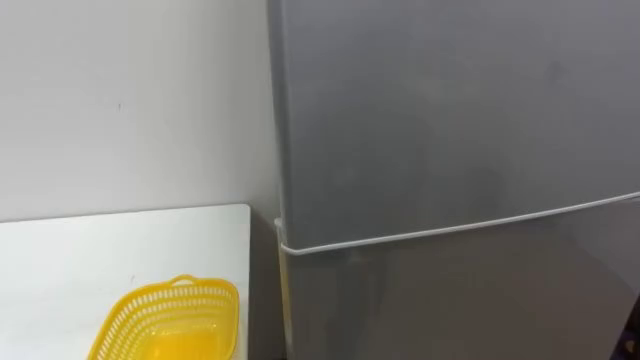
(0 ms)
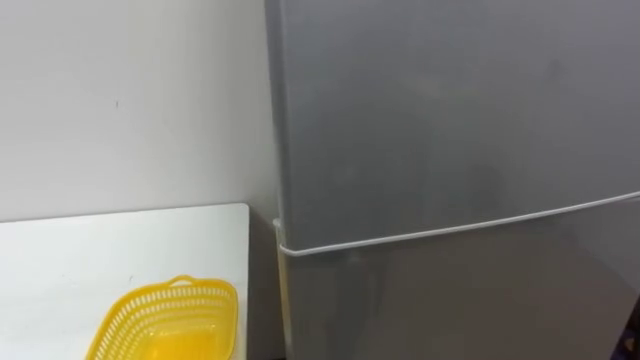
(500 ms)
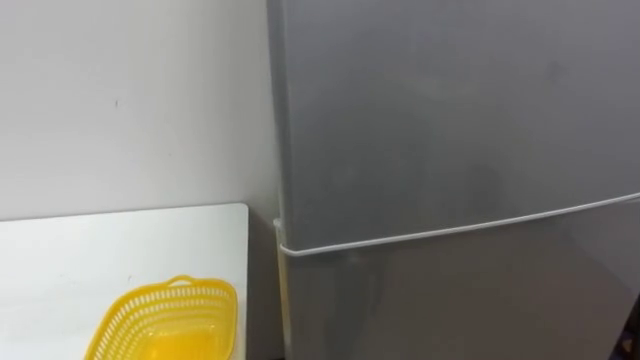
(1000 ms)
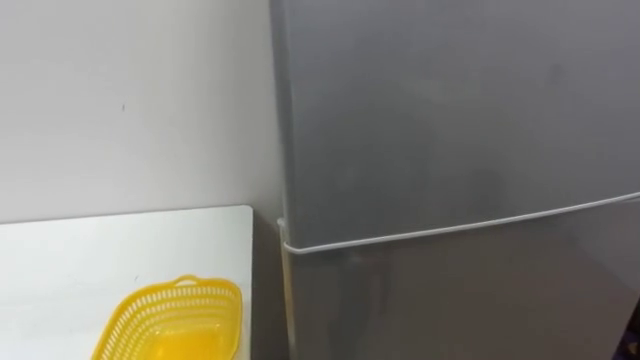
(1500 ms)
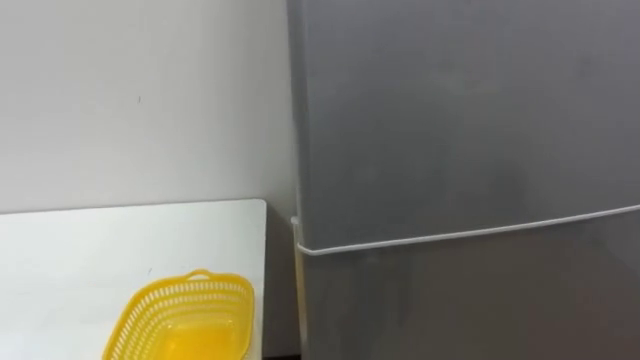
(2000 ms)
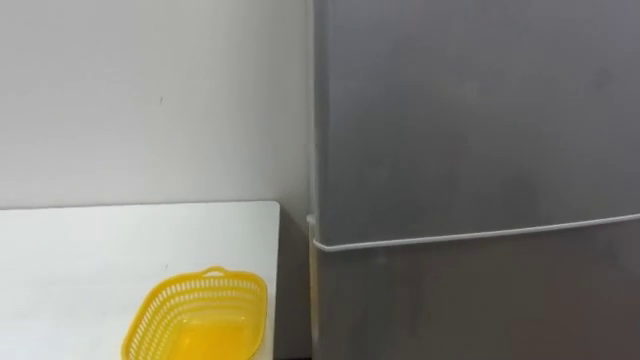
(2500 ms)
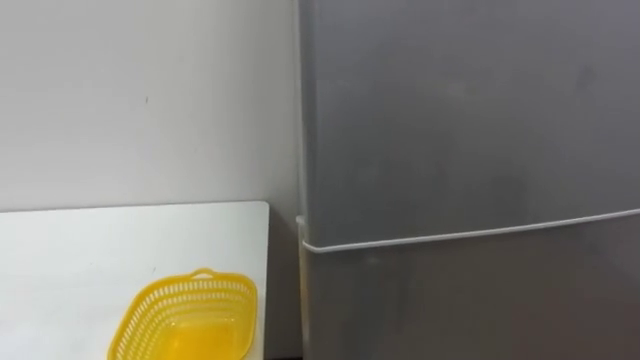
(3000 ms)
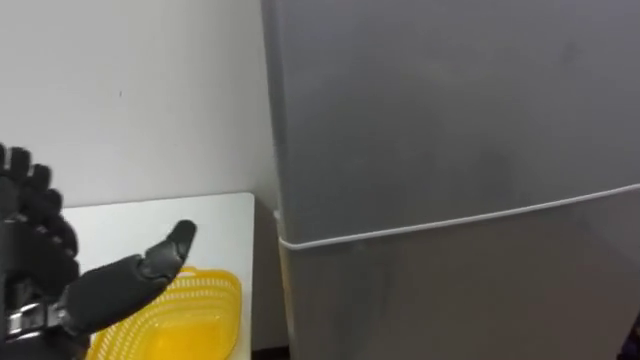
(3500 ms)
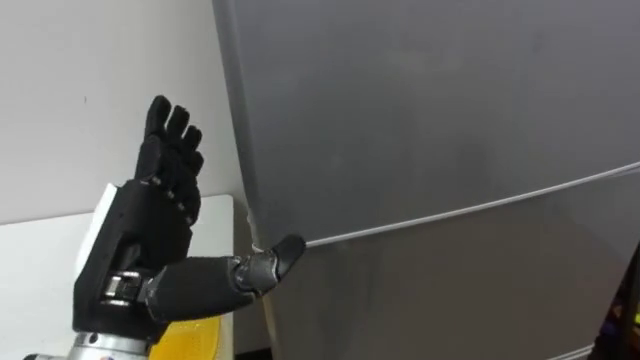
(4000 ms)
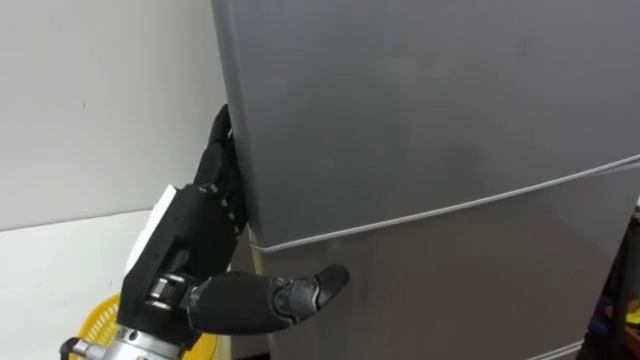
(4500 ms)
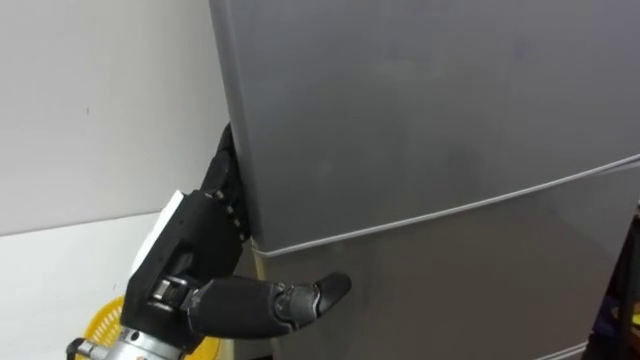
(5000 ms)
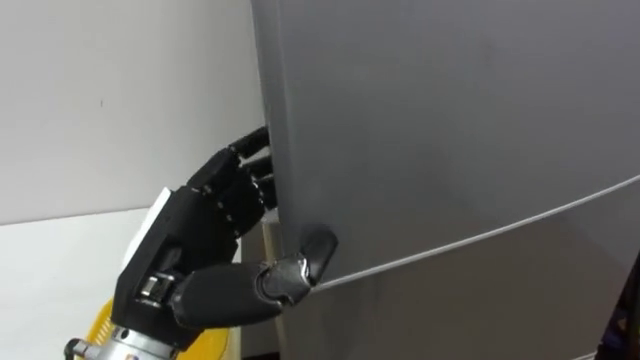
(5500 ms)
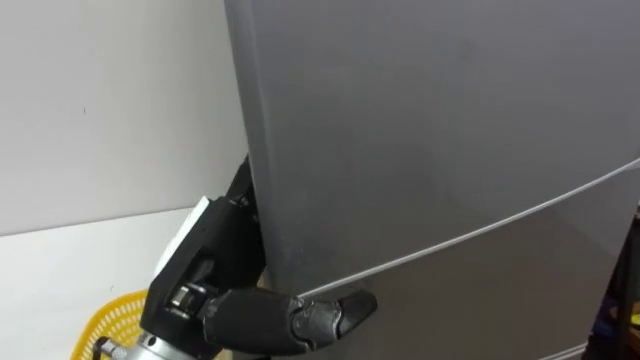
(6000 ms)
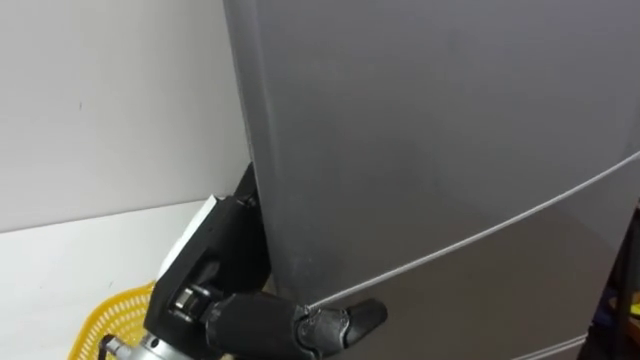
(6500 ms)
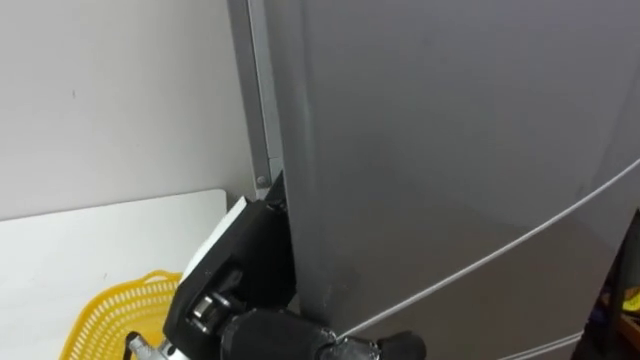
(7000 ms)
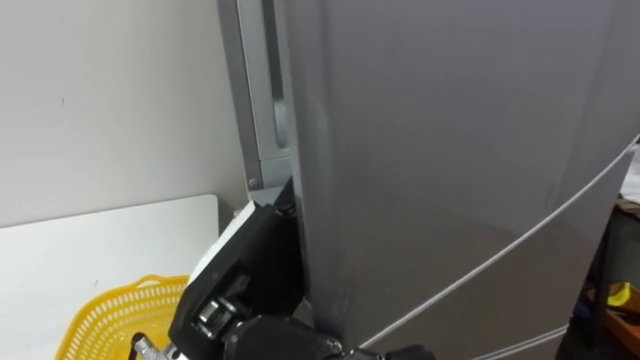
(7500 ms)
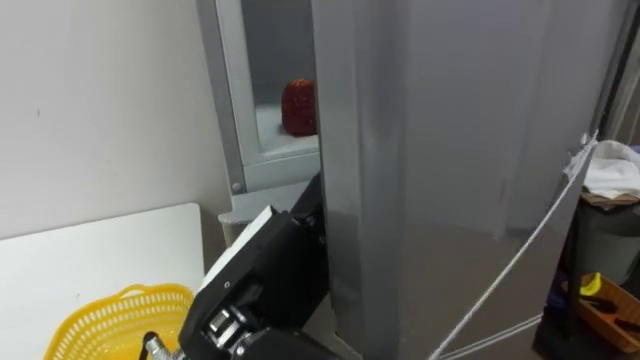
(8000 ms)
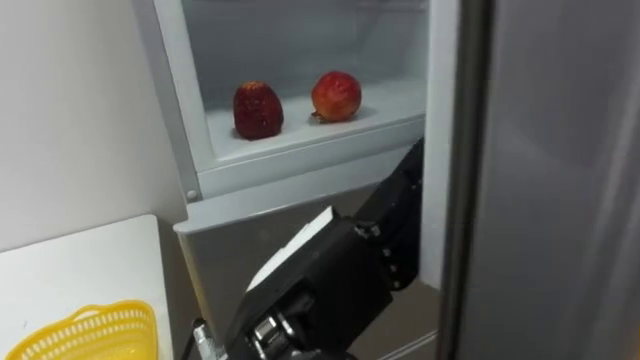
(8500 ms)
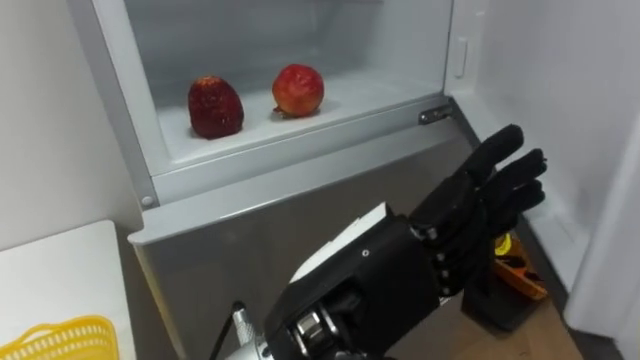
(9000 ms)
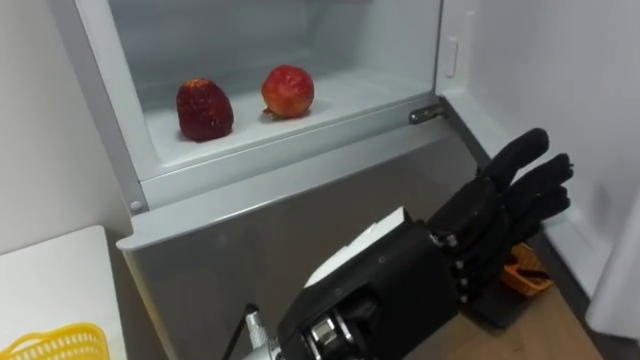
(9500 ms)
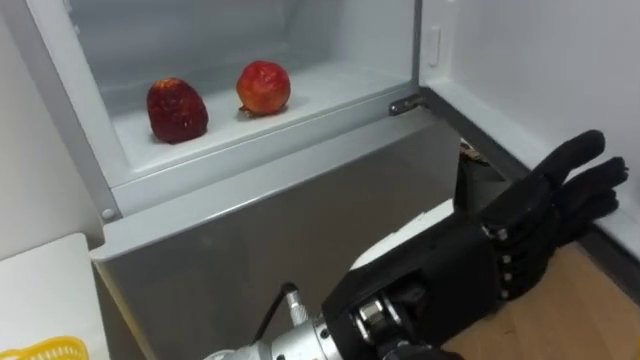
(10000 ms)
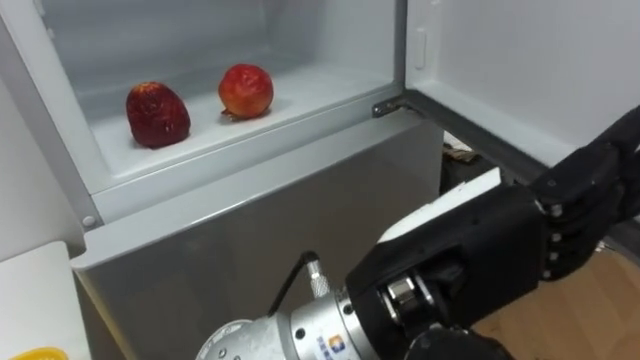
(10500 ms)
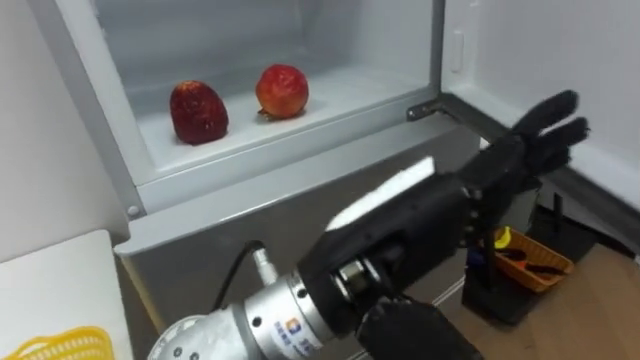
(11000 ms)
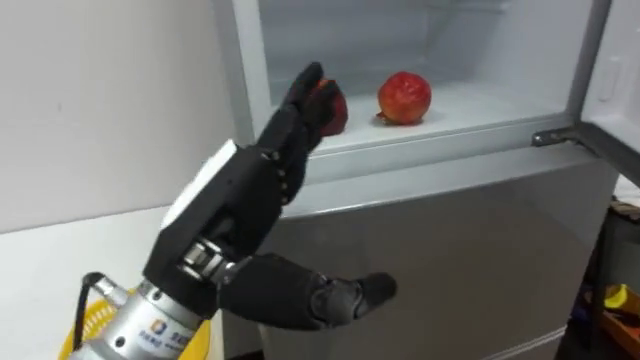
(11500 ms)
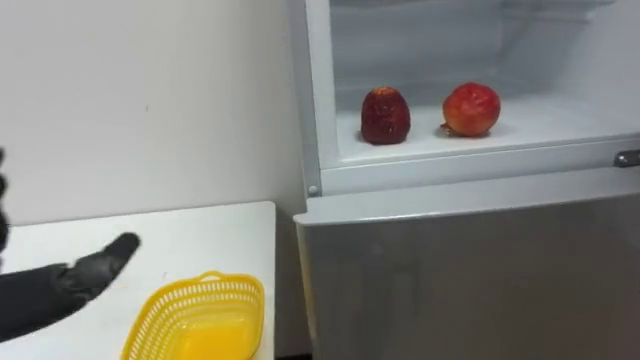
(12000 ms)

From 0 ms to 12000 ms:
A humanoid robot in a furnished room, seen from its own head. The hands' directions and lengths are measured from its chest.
Task of the whole recording: Open the refrigerator door, take out the apple and the pomegranate, place them in the fruit basket on the left, and close the refrigerator door.
From 4000 ms to 6000 ms: The left hand shifts approximately 5 cm to the right, and closes, then opens again.
From 6000 ms to 8000 ms: The left hand ends up roughly 5 cm from where it was.
From 8000 ms to 10000 ms: The left hand travels to the right by some 10 cm.

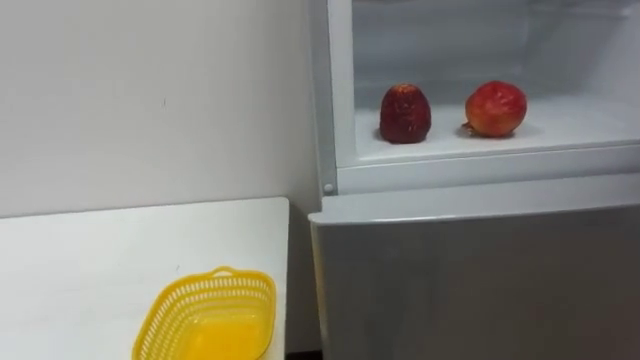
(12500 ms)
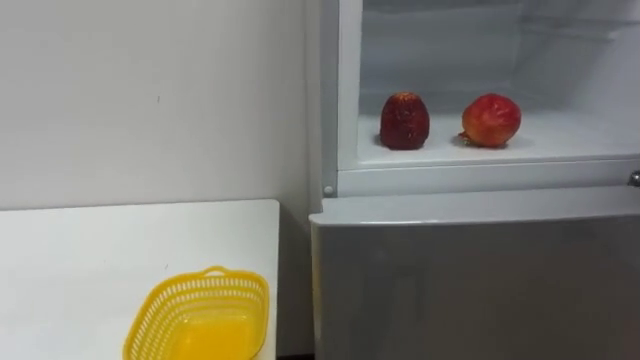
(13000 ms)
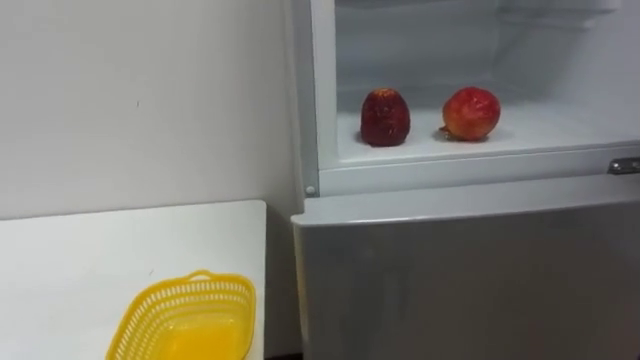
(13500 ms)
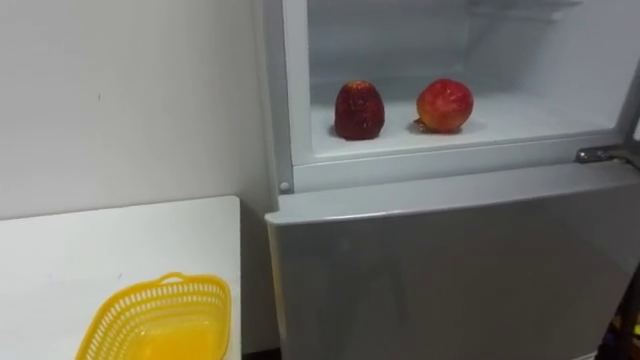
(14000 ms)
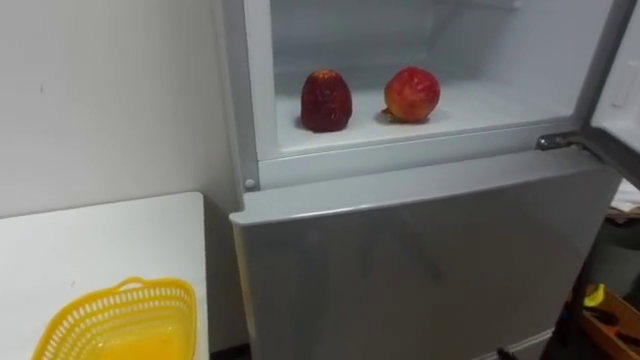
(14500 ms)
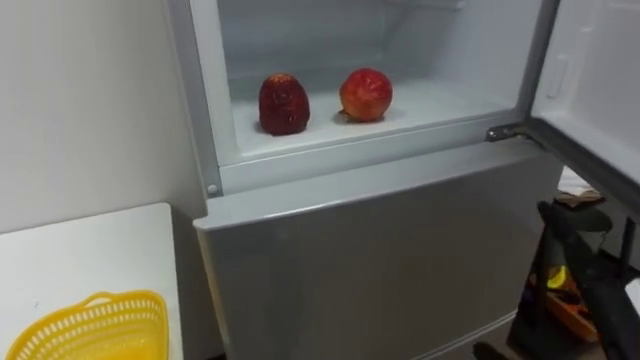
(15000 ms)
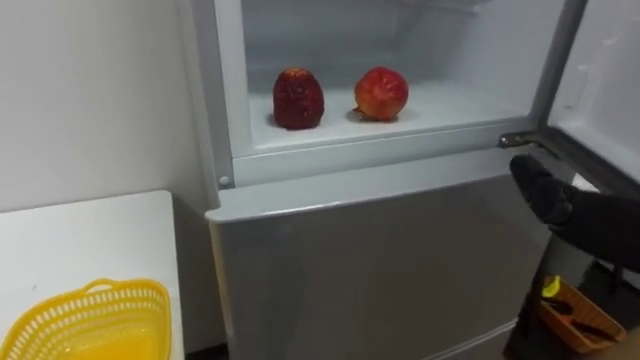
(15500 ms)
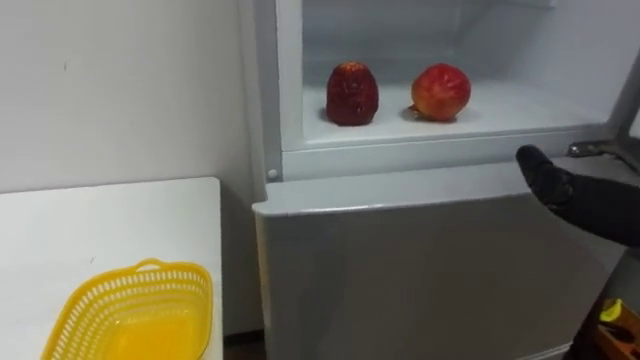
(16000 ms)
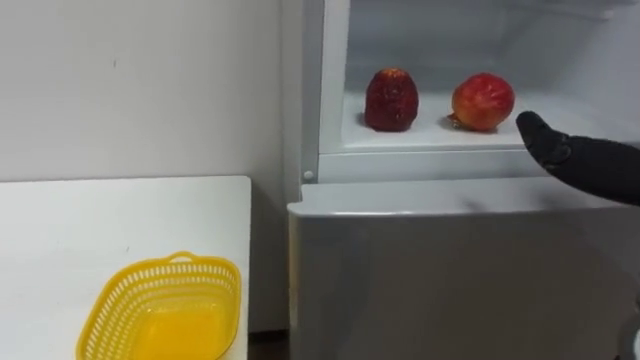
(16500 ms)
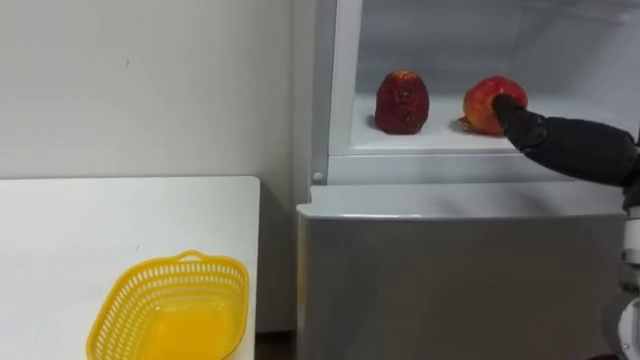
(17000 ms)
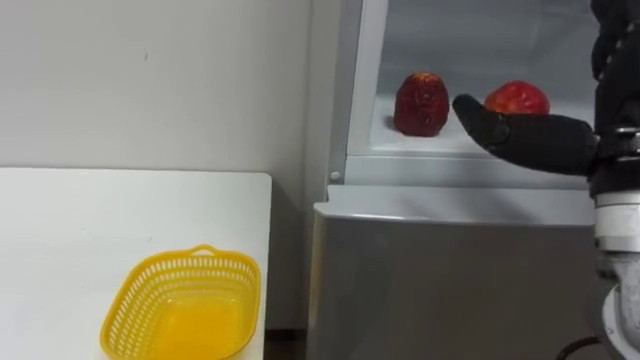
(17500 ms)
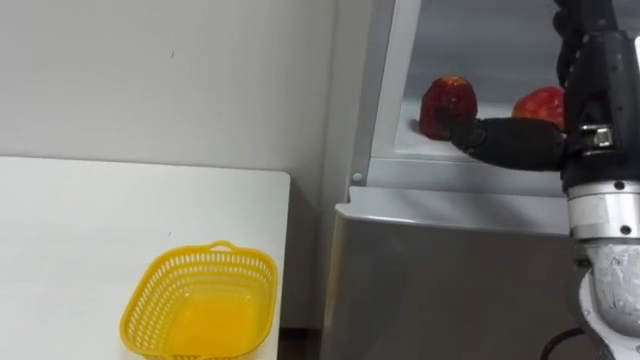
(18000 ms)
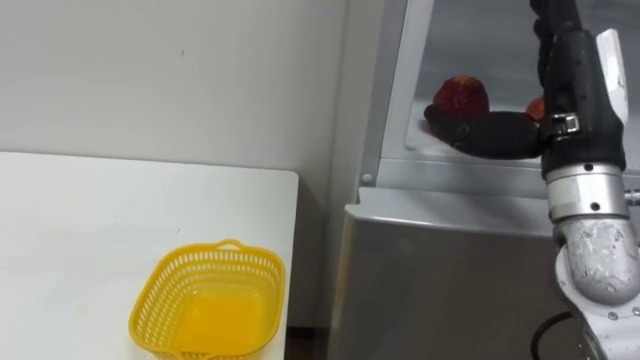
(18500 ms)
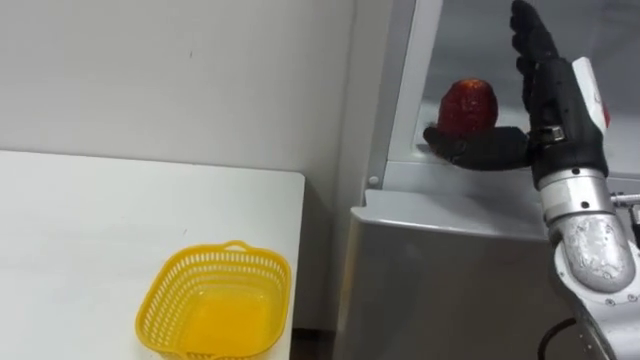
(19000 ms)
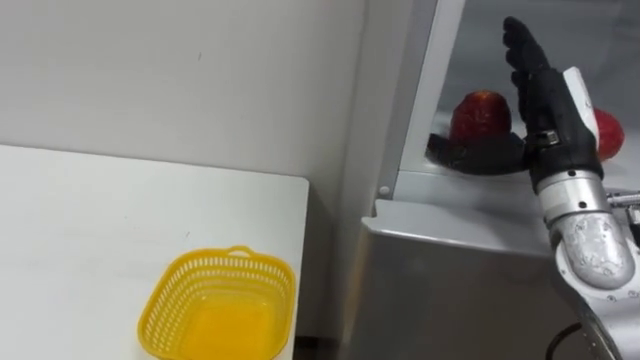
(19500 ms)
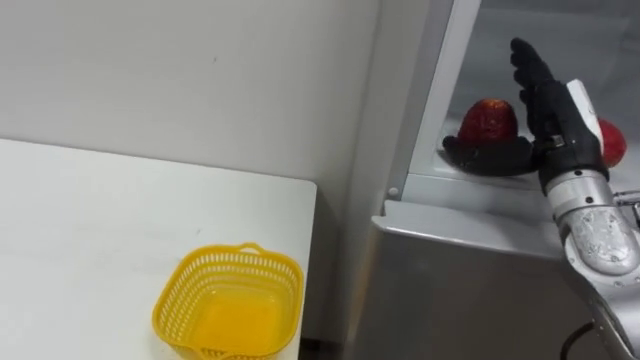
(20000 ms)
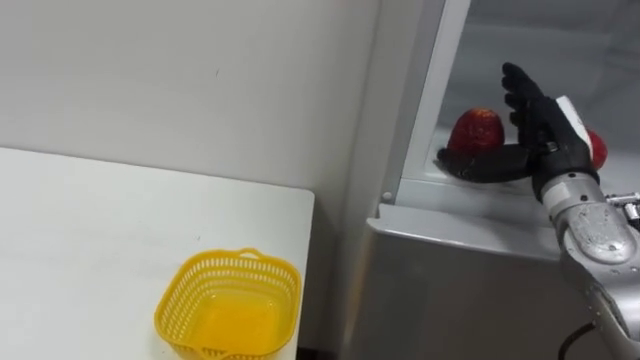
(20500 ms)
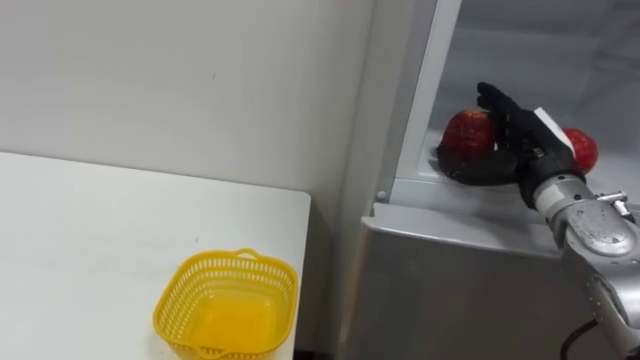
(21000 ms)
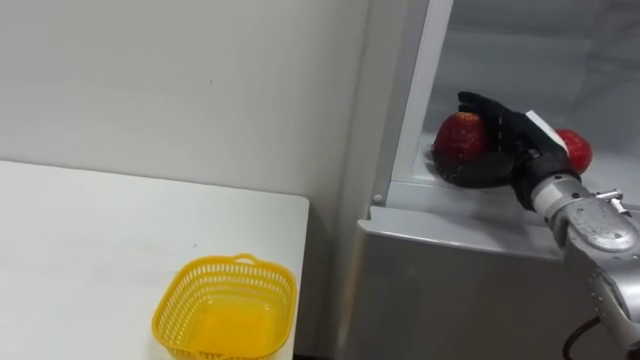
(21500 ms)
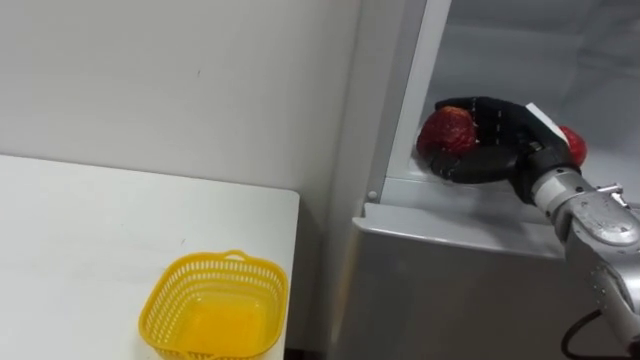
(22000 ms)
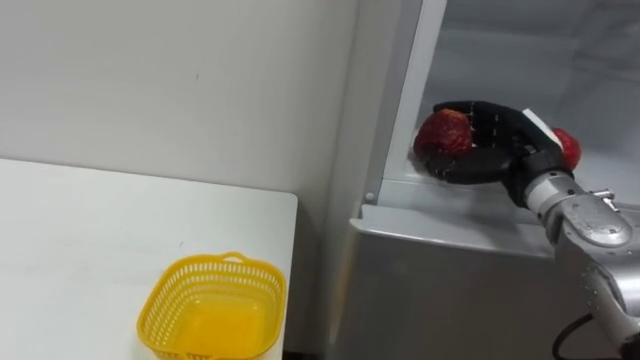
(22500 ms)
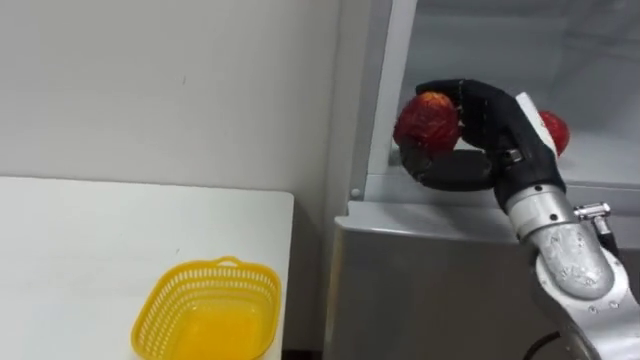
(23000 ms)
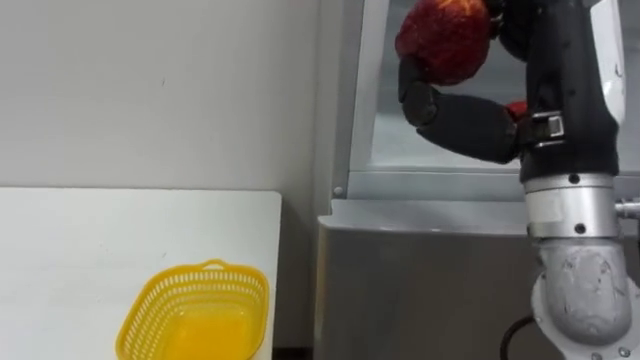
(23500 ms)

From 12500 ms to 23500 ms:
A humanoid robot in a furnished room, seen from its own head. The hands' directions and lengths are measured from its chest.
Task of the whole recording: Open the refrigerator door, take out the apple and the pomegranate, place them in the fruit basket on the left, and close the refrigerator door.
From 18000 ms to 20000 ms: The right hand shifts some 10 cm forward and downward.
From 20000 ms to 21500 ms: The right hand shifts by approximately 5 cm.
From 21500 ms to 23500 ms: The right hand shifts some 20 cm backward, upward and to the left, and closes its fingers.
